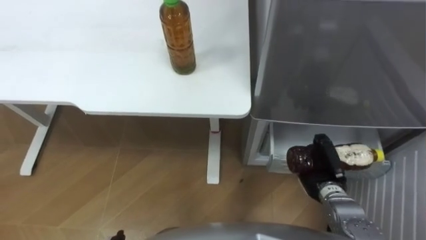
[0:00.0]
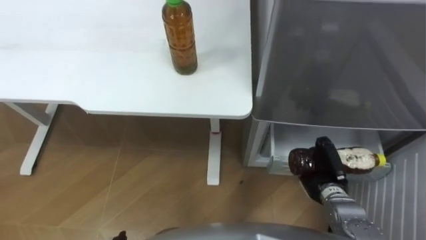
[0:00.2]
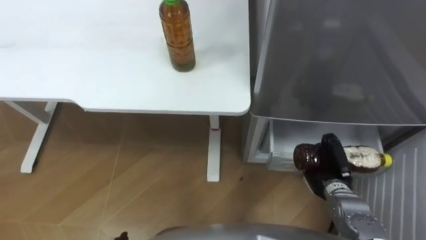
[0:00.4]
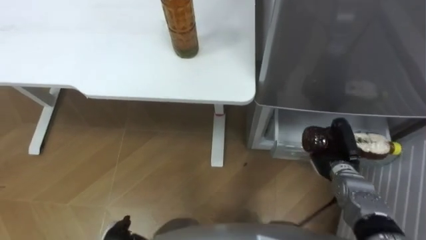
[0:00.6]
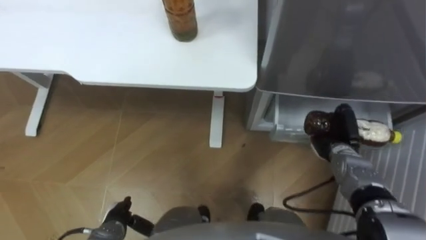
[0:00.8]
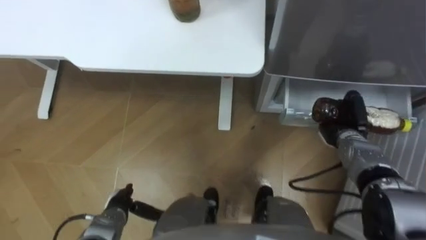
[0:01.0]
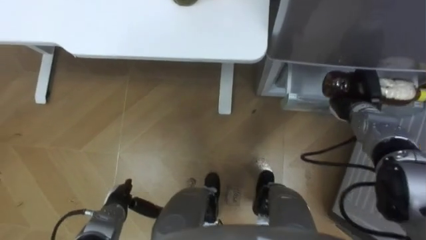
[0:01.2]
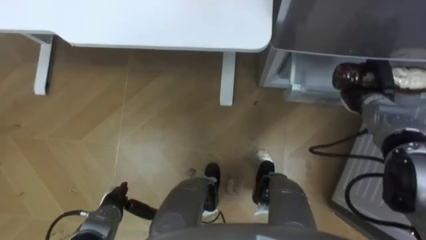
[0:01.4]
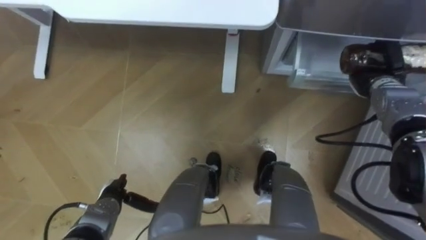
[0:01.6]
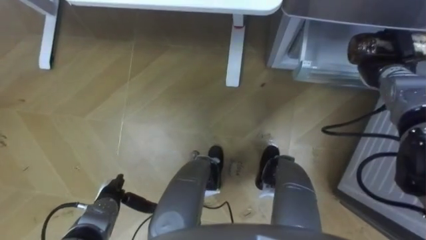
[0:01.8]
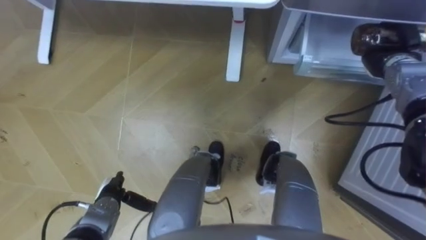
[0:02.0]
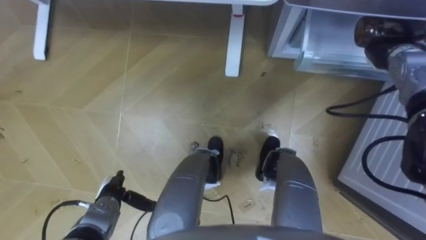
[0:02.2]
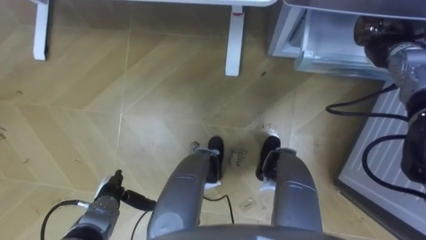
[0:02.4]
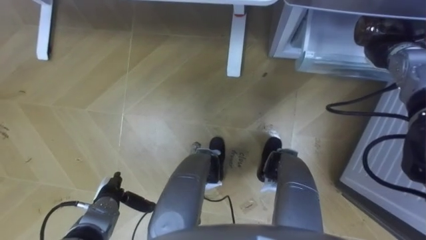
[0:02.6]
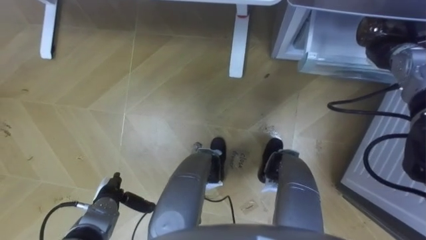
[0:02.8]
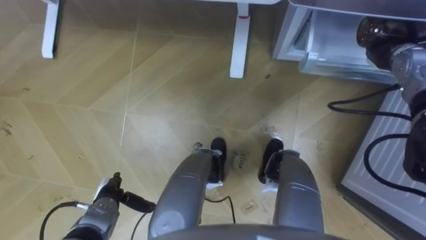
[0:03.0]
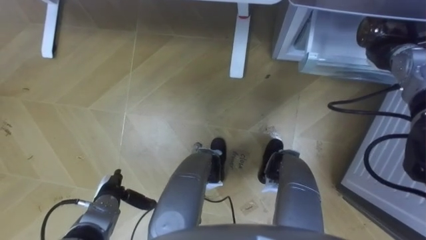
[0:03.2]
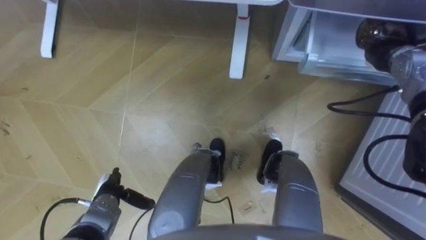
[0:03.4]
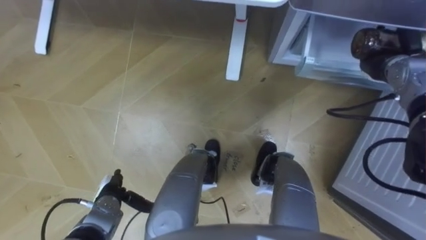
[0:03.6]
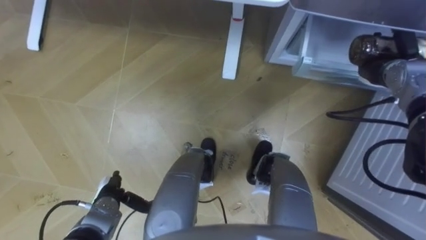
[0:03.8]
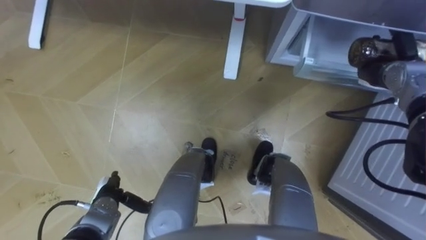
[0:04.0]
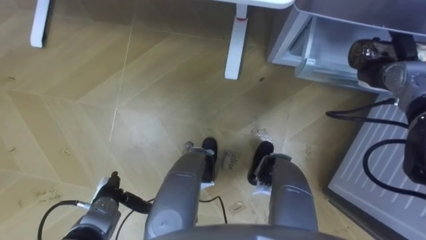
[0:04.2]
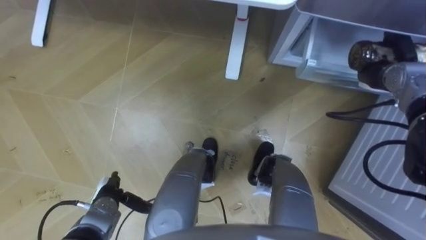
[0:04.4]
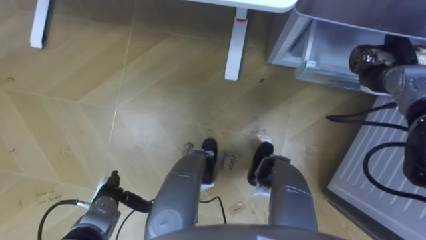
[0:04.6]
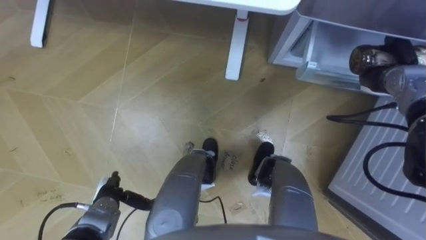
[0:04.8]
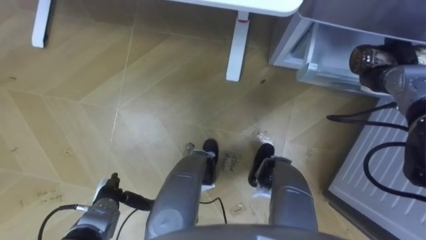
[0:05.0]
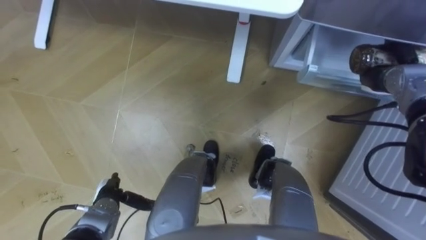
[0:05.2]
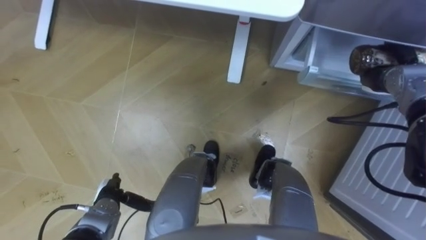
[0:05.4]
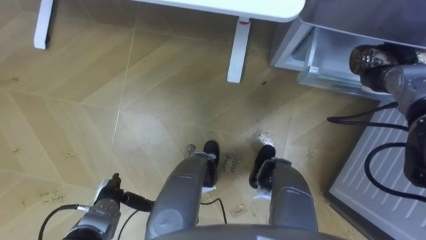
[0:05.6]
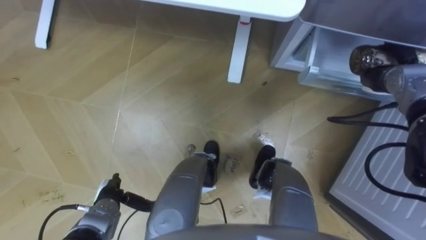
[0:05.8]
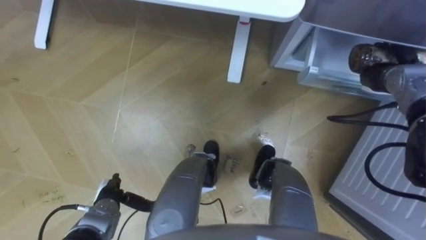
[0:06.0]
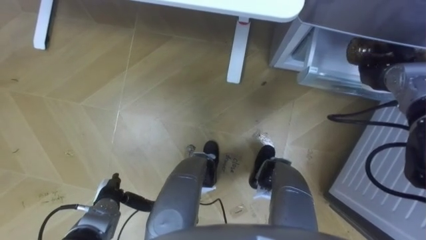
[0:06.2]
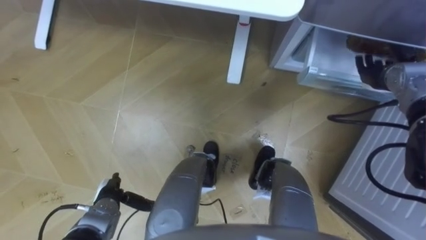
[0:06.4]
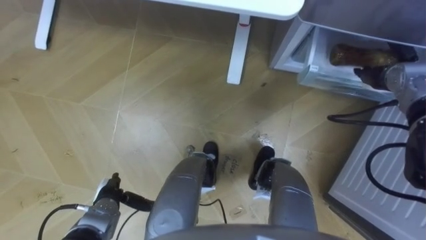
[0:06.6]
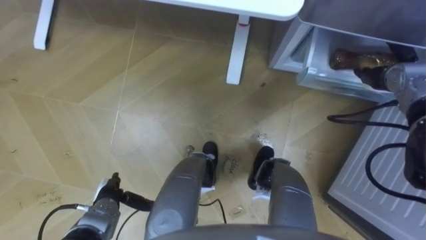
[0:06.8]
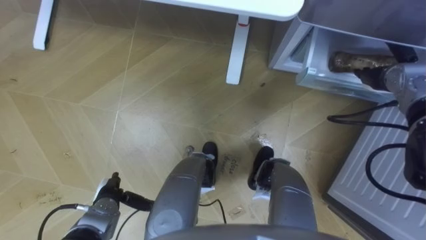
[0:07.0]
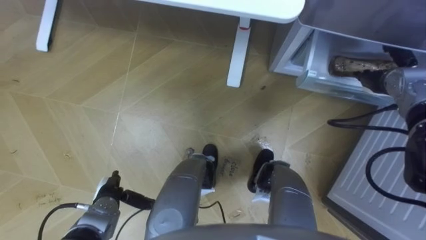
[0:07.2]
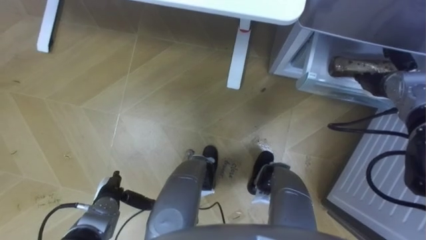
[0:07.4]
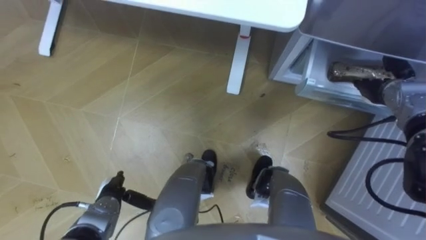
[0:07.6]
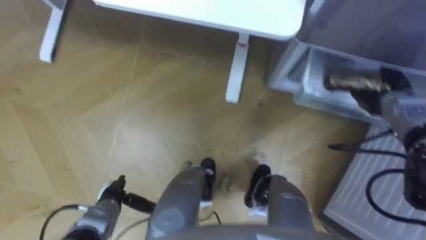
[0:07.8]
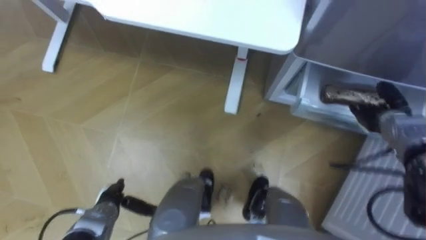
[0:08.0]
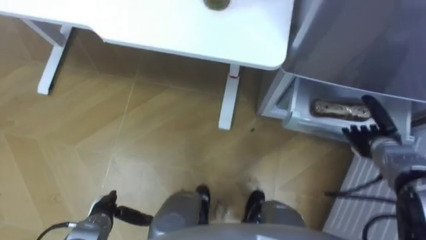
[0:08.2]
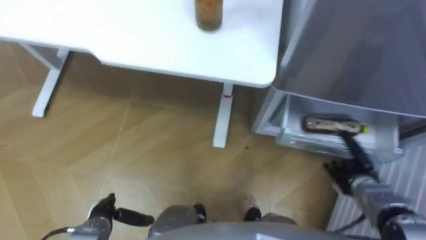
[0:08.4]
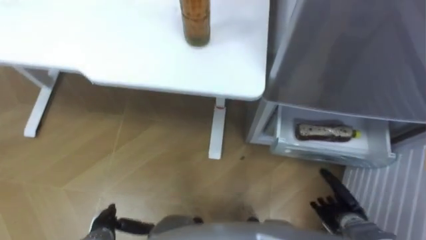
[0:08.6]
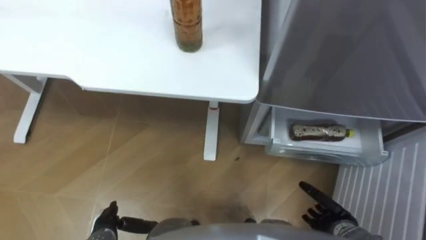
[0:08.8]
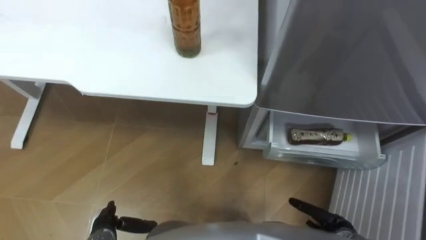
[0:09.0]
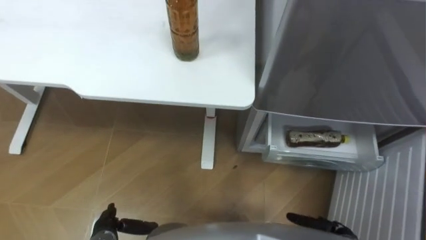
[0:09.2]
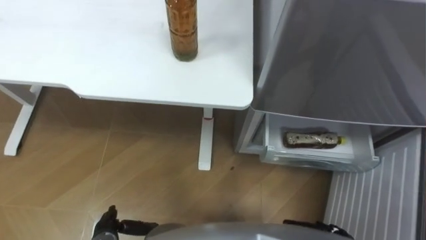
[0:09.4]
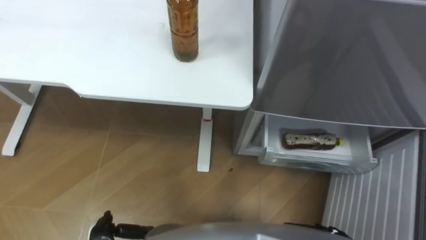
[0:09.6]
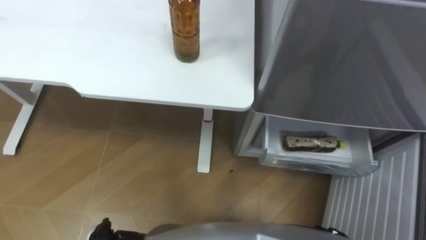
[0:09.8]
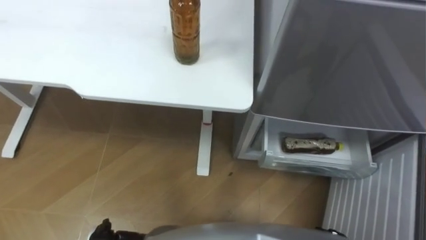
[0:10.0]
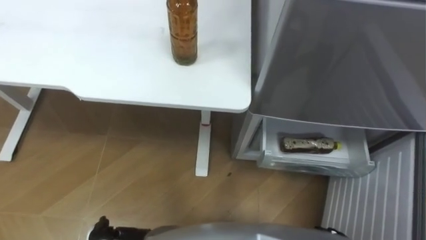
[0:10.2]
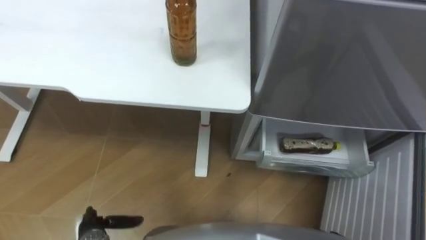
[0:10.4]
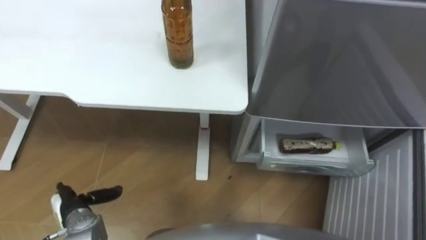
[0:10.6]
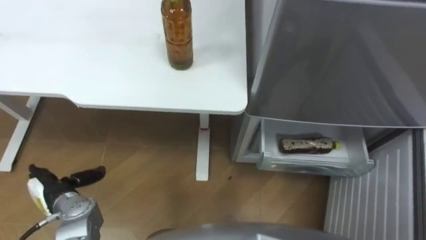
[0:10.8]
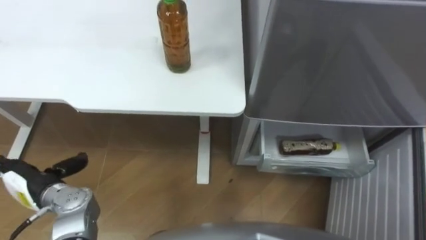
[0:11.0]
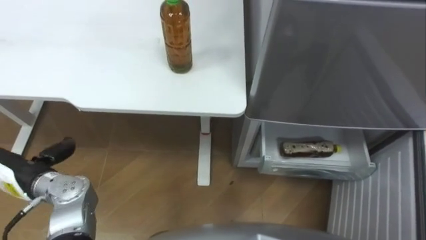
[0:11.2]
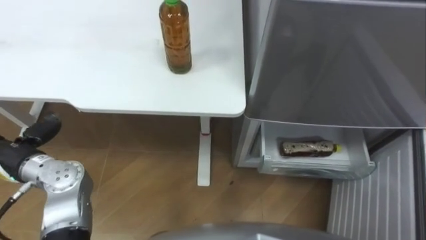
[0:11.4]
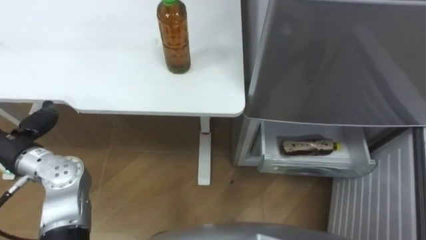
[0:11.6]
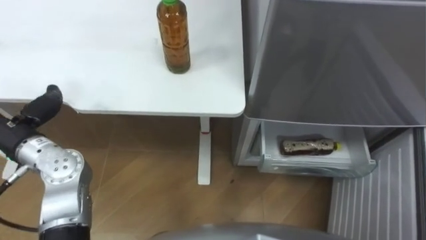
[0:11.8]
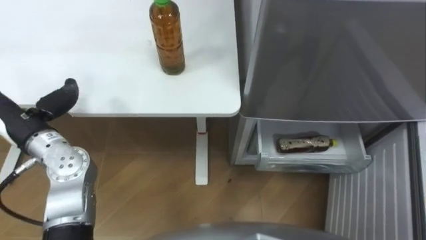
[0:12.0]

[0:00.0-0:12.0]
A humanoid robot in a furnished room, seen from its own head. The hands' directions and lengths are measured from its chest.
Task of the whole recording: Place the drink on the table on the bottom shelf of the refrigerator, then close the drawer and the refrigerator door.
0.0 to 1.6 s: The right hand moves forward, upward and to the right, about 25 cm.
1.6 to 3.0 s: The right hand goes roughly 5 cm upward.
6.0 to 7.6 s: The right hand opens.
7.6 to 9.0 s: The right hand shifts some 35 cm backward and downward. The left hand travels backward by some 5 cm.
10.4 to 12.0 s: The left hand travels upward and forward by roughly 30 cm.

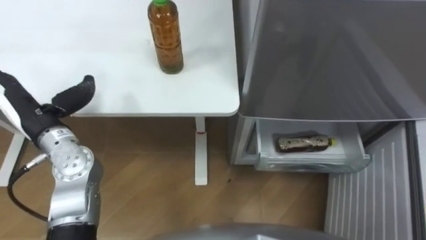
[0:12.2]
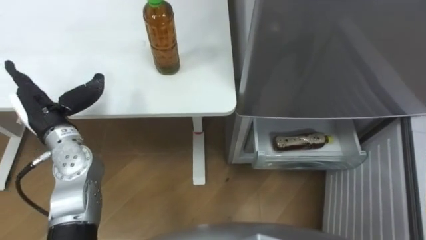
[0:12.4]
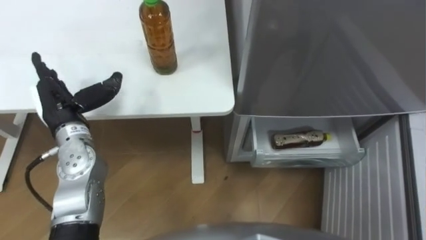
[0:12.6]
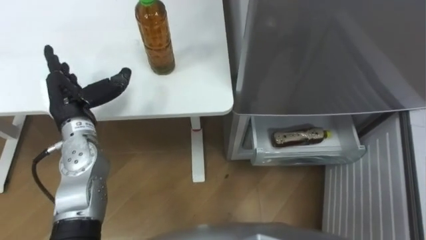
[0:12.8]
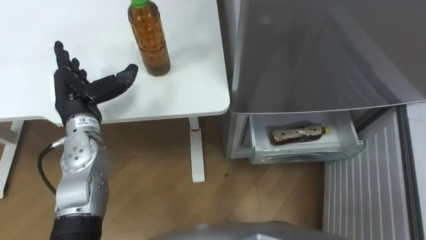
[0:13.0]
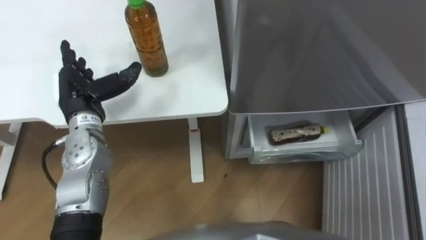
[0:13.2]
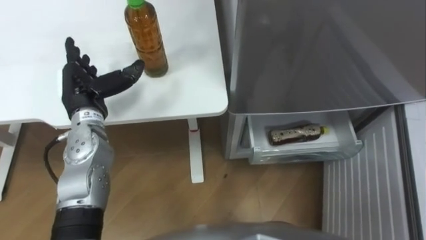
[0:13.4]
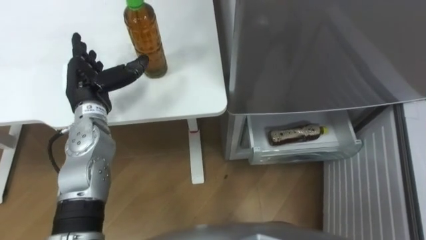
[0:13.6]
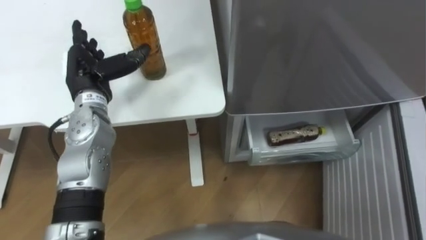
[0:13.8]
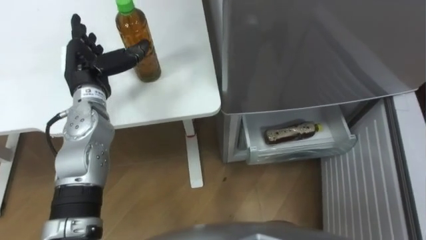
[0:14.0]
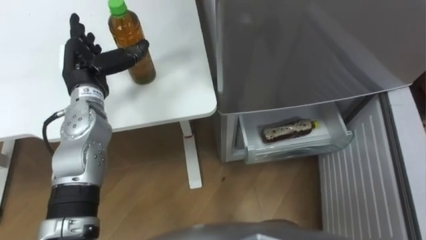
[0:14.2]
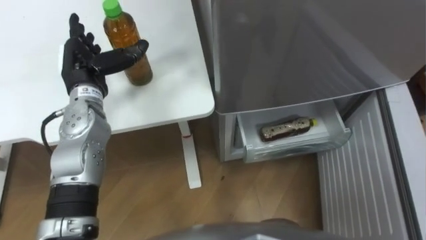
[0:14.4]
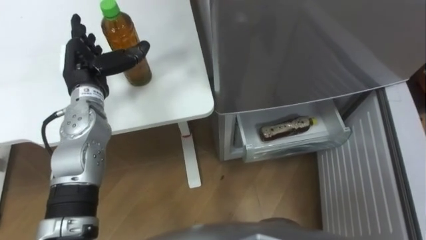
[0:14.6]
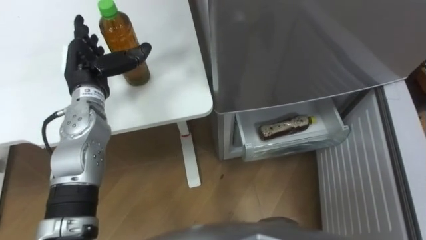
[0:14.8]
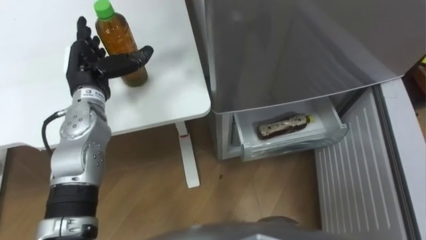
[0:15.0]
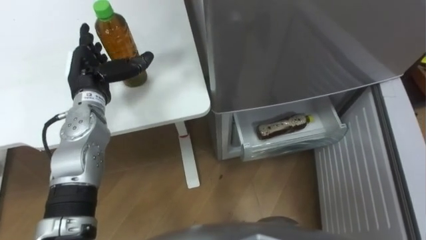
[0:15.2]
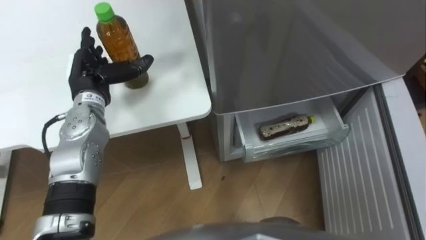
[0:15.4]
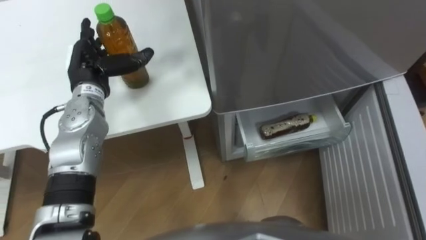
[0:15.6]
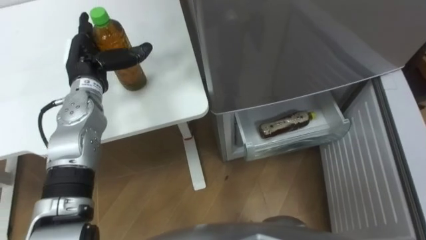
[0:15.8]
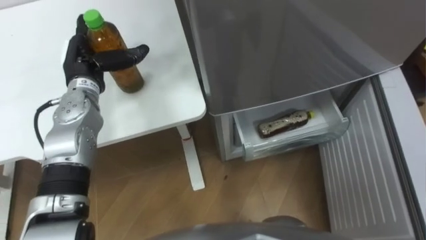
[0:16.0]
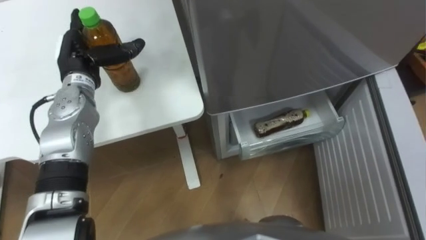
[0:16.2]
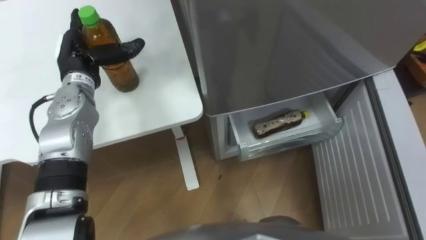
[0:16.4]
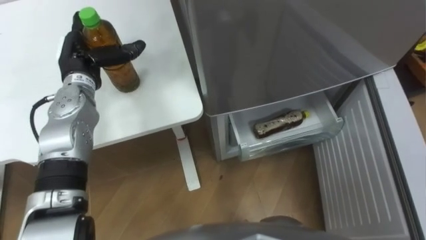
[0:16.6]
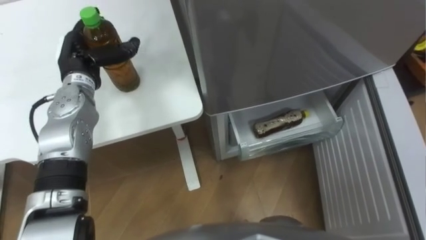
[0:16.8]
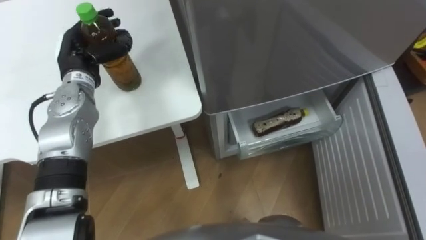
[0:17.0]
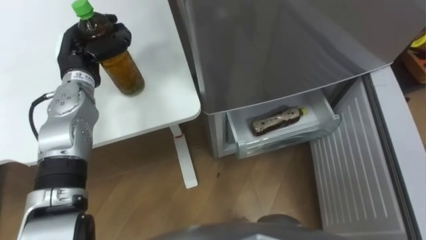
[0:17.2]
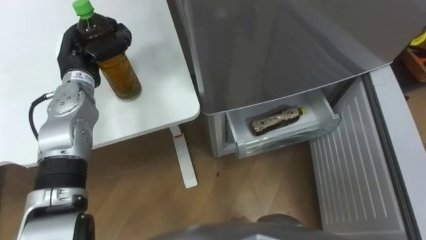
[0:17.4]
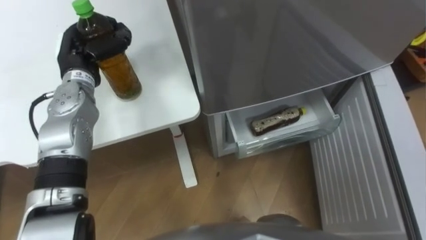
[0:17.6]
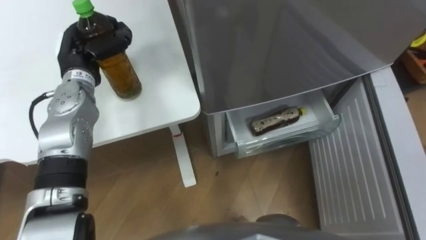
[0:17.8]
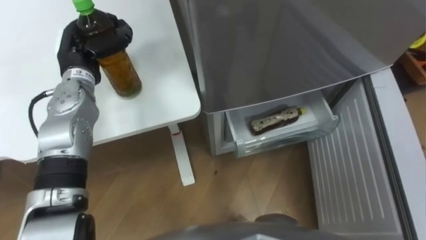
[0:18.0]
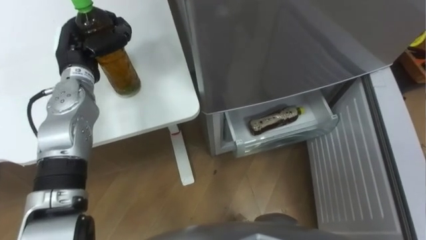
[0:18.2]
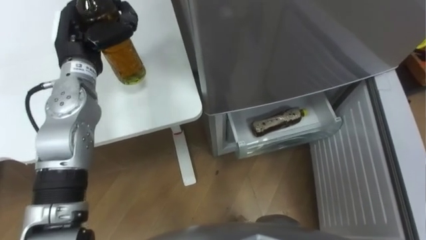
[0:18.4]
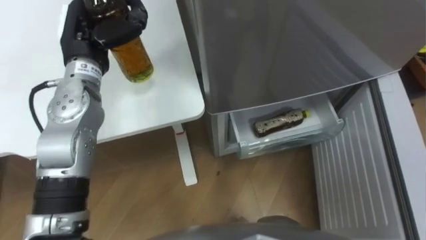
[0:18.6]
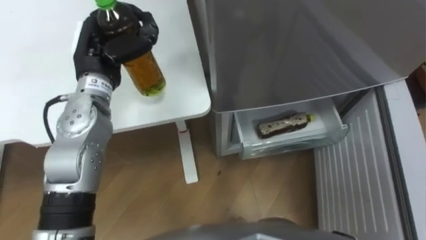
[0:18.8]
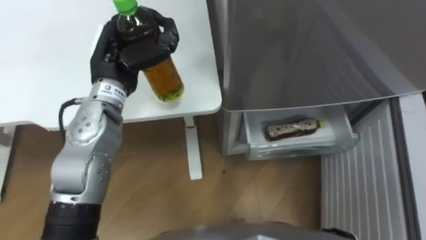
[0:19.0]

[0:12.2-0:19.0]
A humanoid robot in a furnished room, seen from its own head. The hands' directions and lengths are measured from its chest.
Task of the whole recording: Place the drink on the table on the bottom shelf of the refrigerator, then close the drawer and the refrigerator door.
12.2 to 13.6 s: The left hand travels to the right and forward by some 10 cm.
16.2 to 17.6 s: The left hand closes its fingers.
17.6 to 19.0 s: The left hand shifts about 10 cm to the right and upward.
